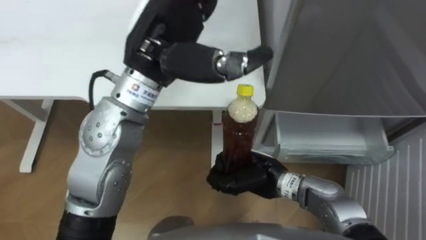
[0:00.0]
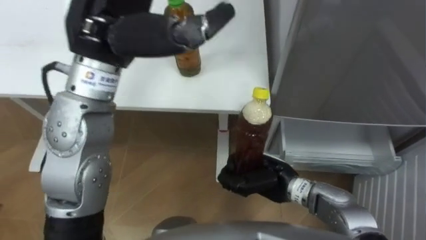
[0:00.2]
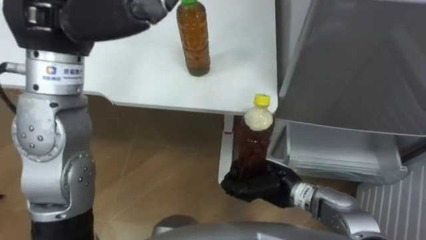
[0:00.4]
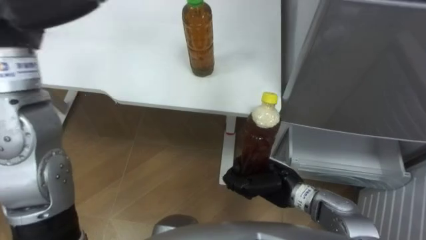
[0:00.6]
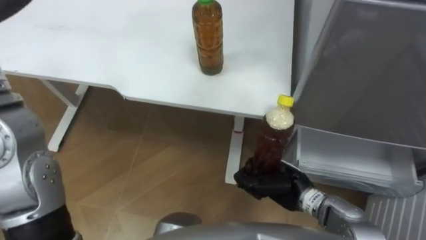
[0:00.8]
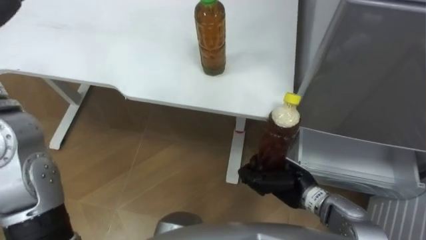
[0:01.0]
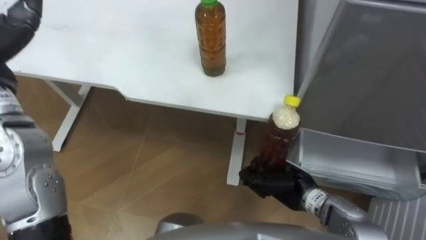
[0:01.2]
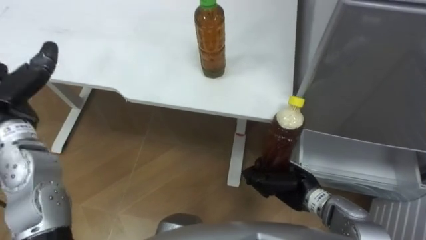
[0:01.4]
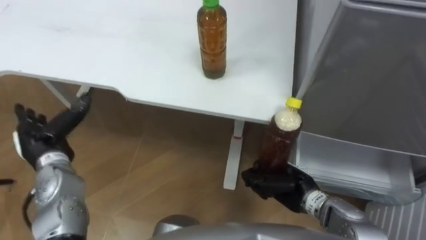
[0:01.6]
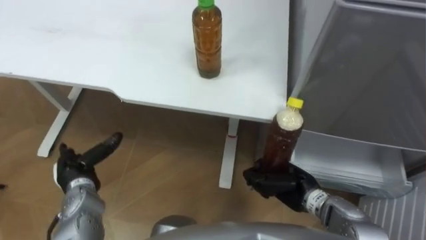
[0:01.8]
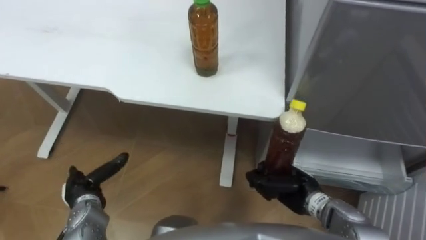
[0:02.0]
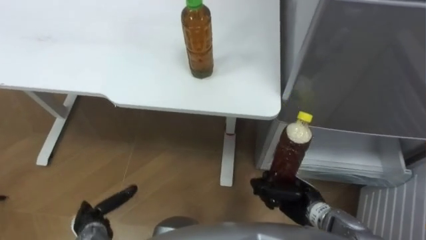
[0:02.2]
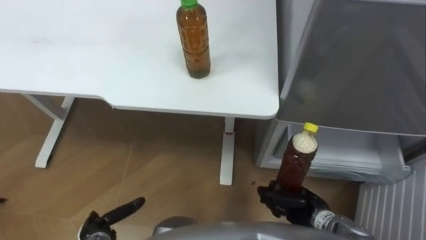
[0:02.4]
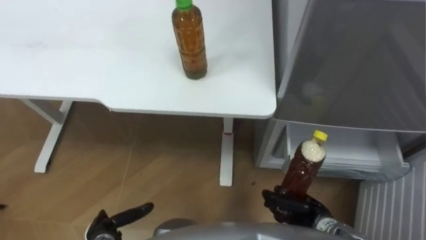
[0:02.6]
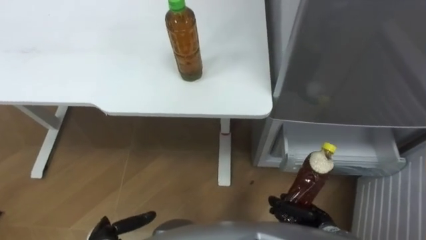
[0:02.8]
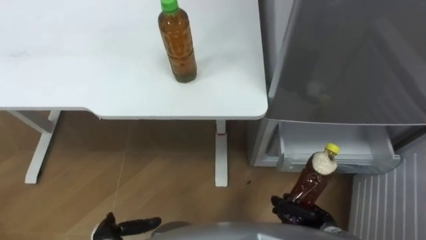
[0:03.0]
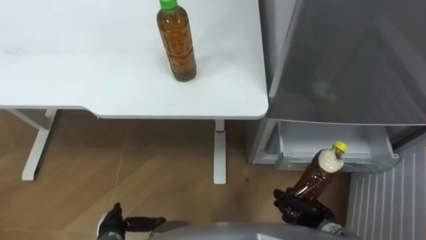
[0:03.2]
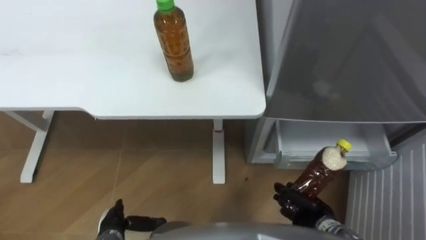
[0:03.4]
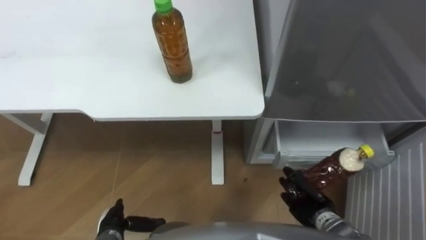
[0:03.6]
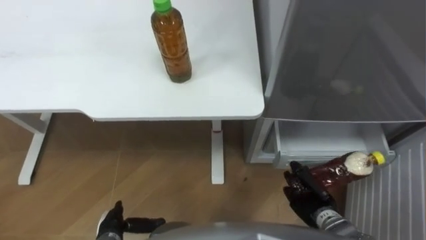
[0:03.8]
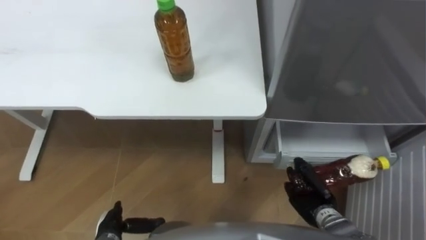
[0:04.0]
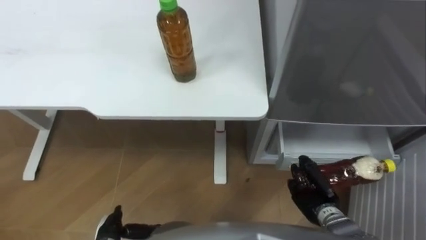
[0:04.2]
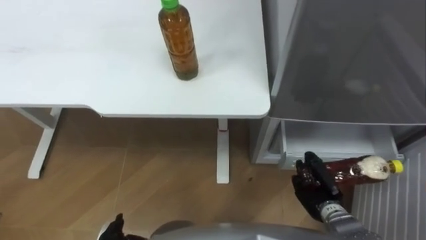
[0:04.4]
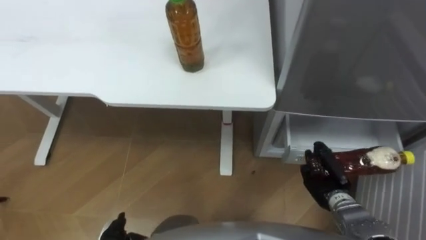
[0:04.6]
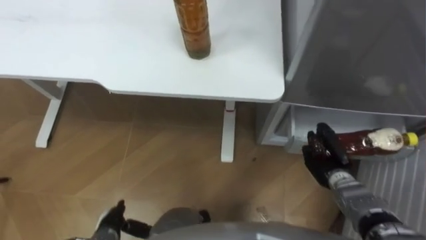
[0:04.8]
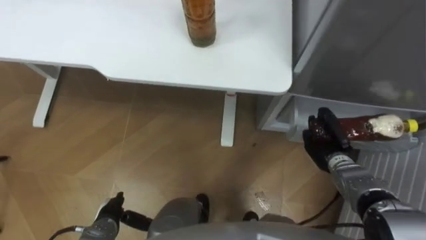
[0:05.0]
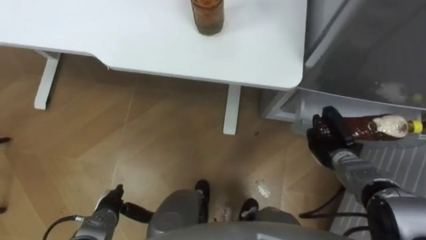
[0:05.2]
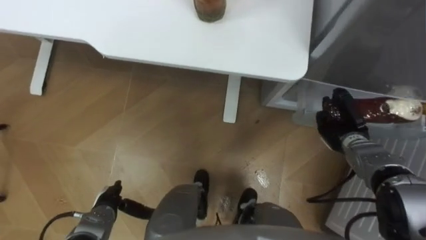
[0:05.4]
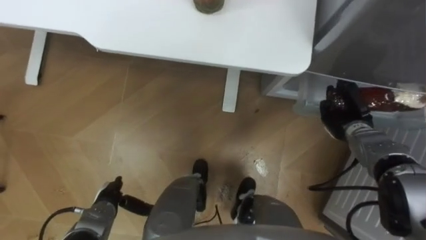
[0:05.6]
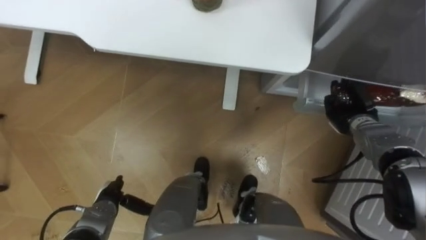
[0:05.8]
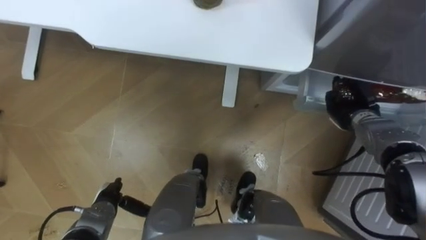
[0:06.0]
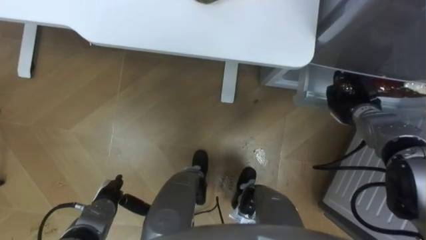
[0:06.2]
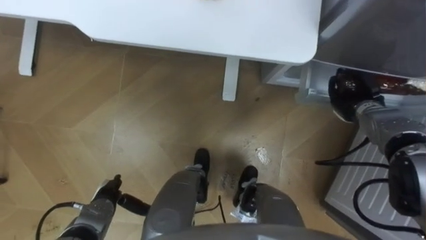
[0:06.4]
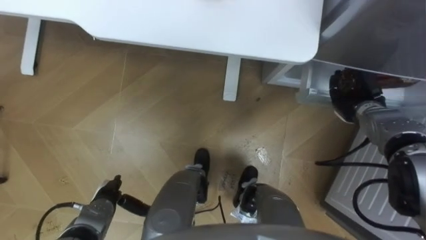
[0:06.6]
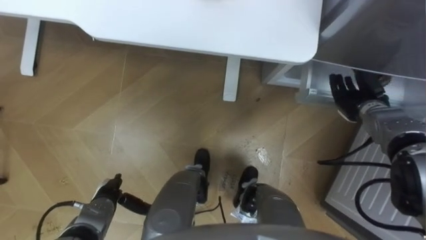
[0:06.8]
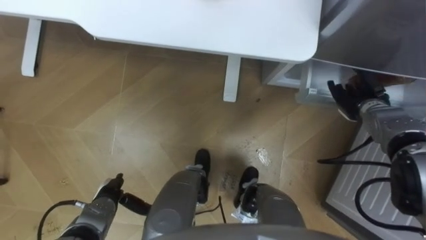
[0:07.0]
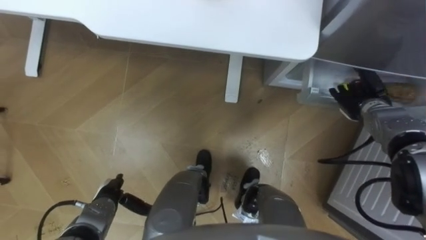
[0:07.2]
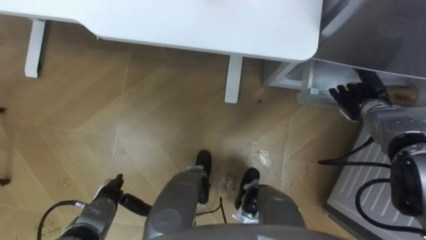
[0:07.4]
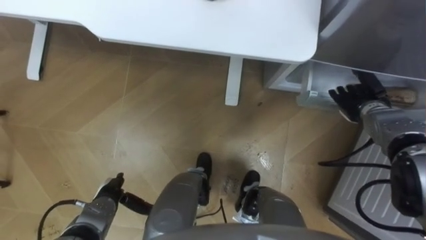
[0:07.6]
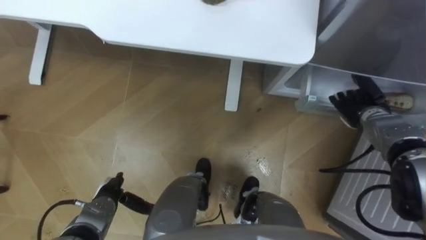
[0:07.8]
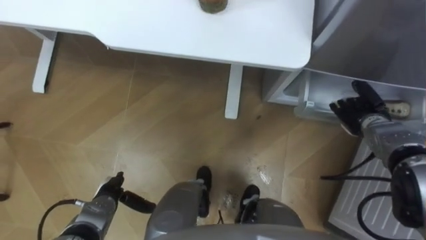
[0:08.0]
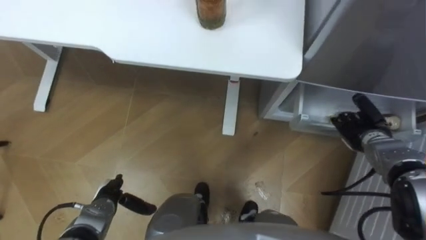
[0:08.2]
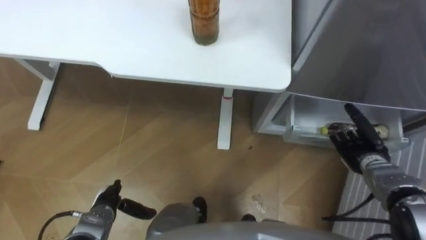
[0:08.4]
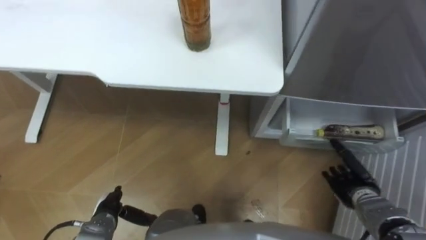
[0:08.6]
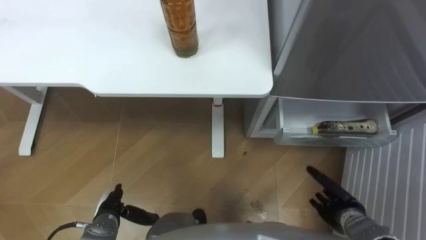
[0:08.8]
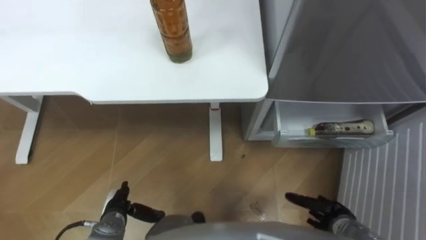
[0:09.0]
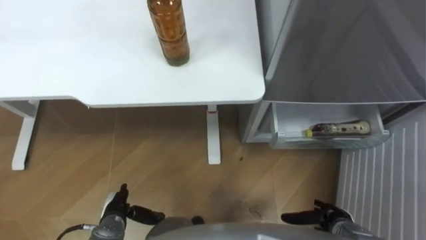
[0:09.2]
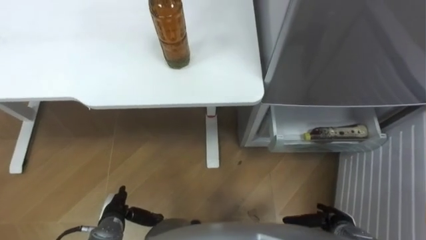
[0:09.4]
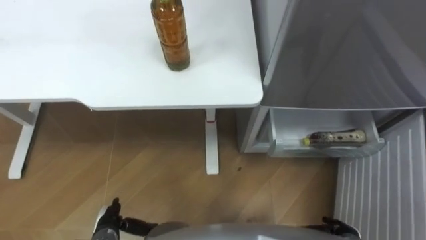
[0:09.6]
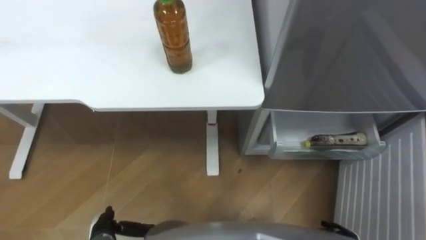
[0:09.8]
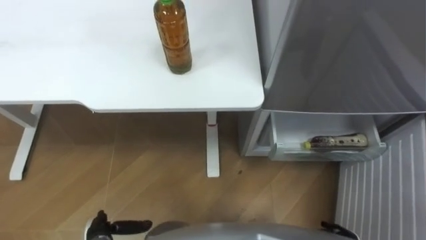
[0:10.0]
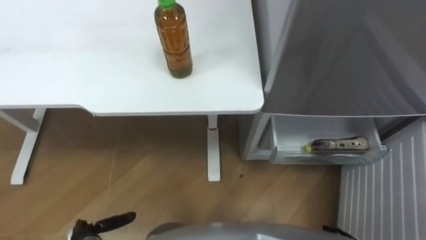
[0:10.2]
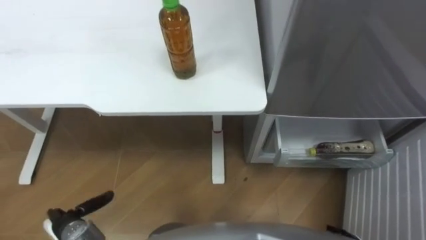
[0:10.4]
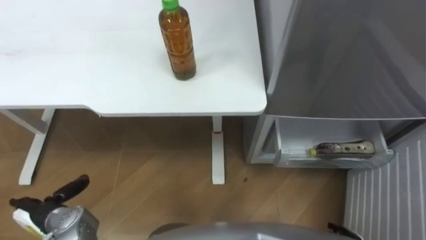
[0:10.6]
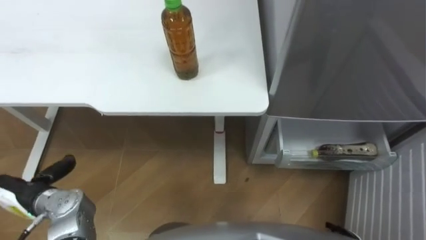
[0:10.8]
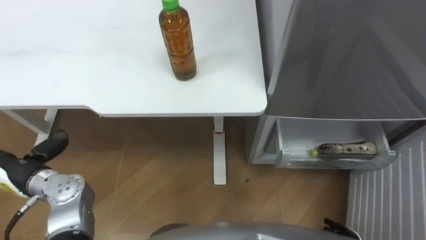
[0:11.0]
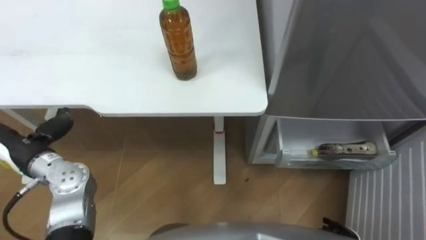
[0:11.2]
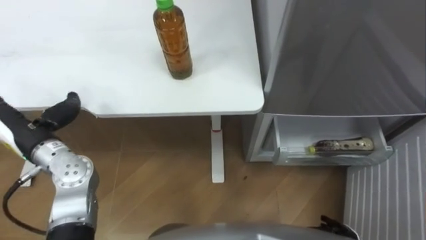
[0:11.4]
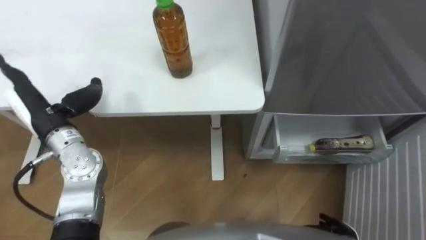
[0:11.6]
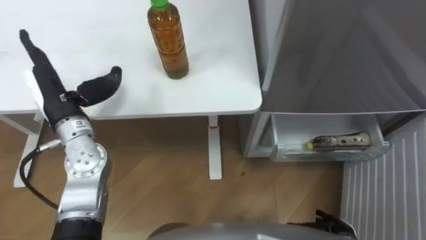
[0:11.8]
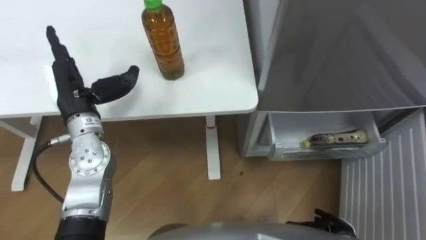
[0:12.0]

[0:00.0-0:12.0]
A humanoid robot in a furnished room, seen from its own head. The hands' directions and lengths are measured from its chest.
Task of the whole recording: Place the drink on the table on the bottom shelf of the refrigerator, then close the drawer and the refrigerator door.
0:00.0 to 0:01.6: The right hand heads to the right, covering about 10 cm.
0:01.6 to 0:03.0: The right hand shifts approximately 10 cm backward, downward and to the right.
0:03.0 to 0:04.4: The right hand is displaced forward by some 5 cm.
0:04.4 to 0:06.0: The right hand shifts about 20 cm forward and upward.
0:06.0 to 0:07.6: The right hand opens its fingers.
0:07.6 to 0:09.0: The right hand moves backward and downward, about 25 cm.
0:09.0 to 0:10.4: The left hand moves to the left, roughly 10 cm.
0:10.4 to 0:12.0: The left hand moves upward and forward, roughly 30 cm.

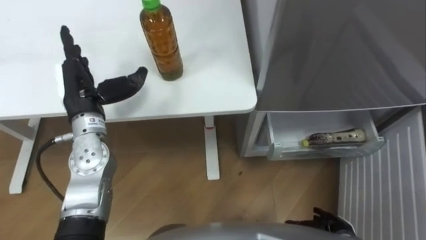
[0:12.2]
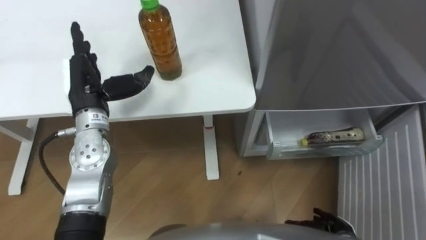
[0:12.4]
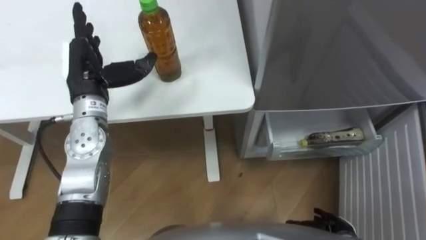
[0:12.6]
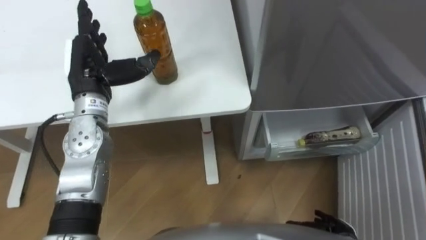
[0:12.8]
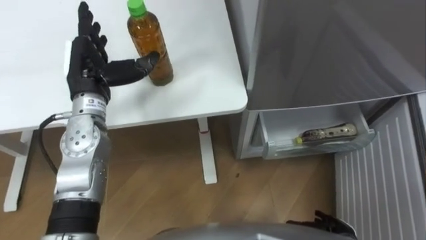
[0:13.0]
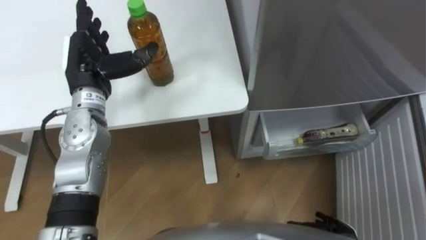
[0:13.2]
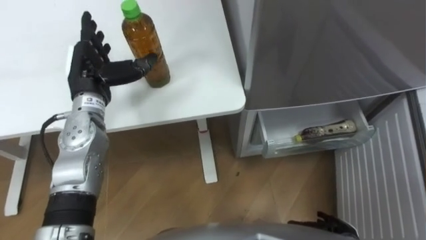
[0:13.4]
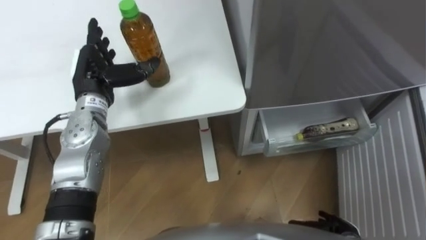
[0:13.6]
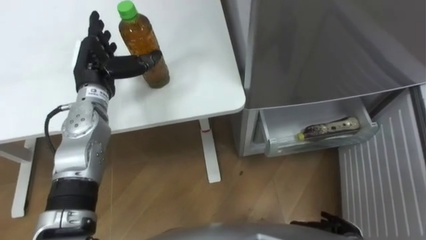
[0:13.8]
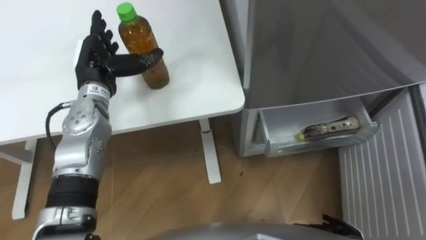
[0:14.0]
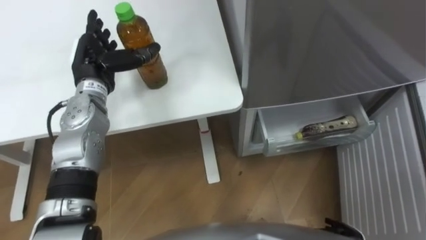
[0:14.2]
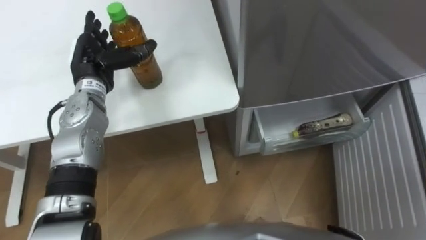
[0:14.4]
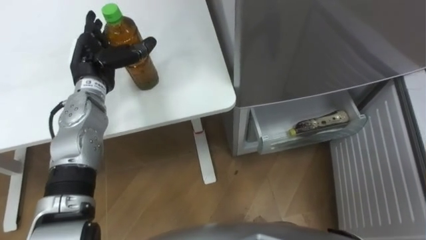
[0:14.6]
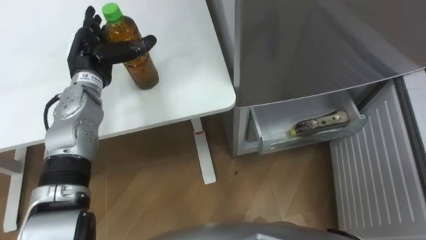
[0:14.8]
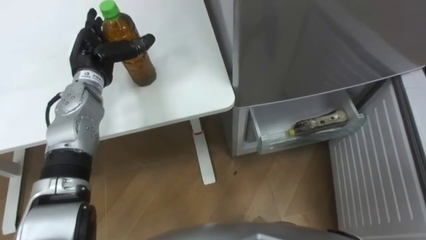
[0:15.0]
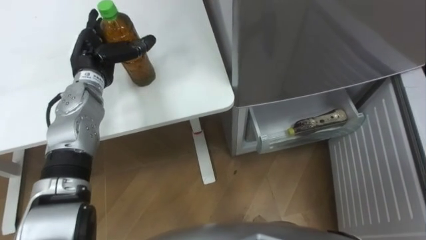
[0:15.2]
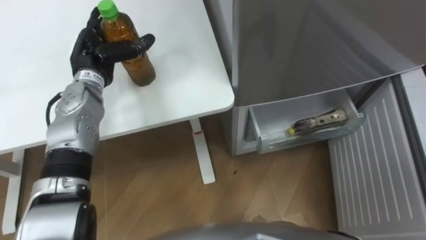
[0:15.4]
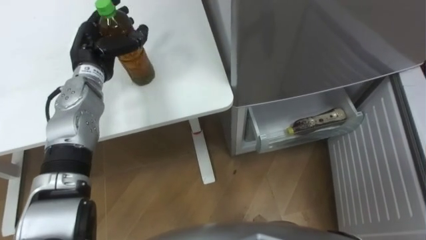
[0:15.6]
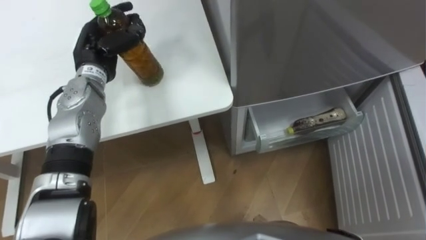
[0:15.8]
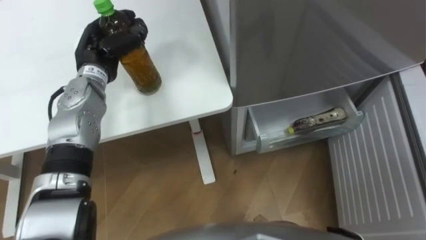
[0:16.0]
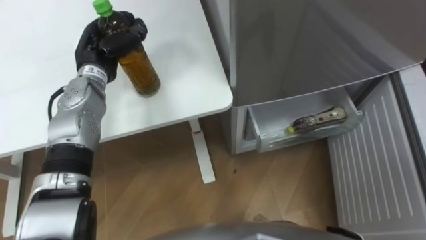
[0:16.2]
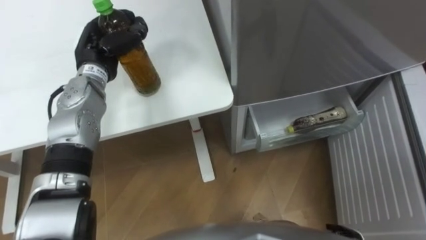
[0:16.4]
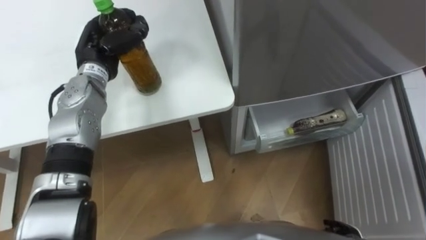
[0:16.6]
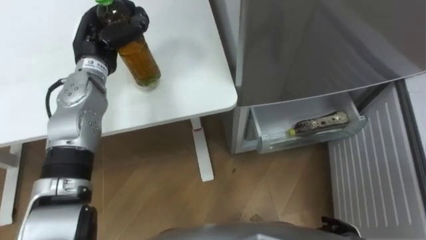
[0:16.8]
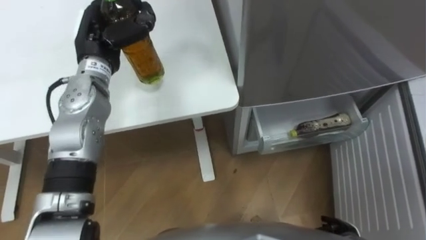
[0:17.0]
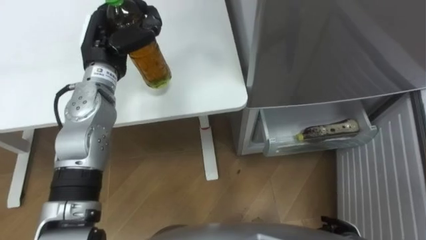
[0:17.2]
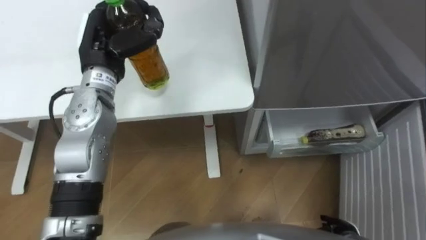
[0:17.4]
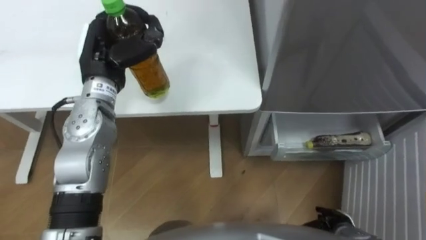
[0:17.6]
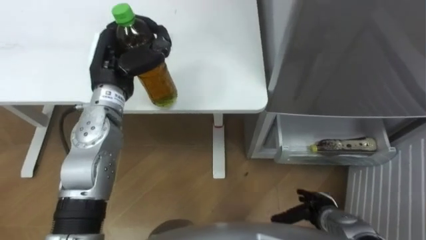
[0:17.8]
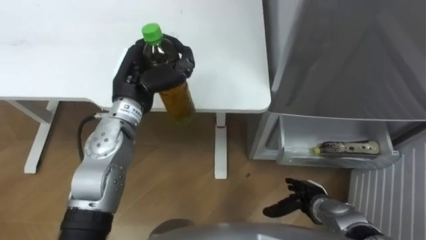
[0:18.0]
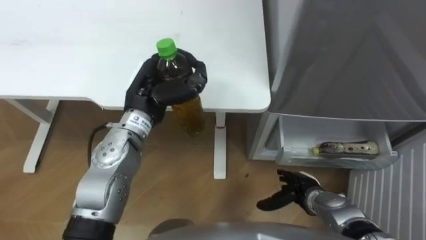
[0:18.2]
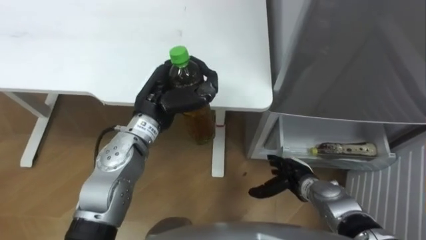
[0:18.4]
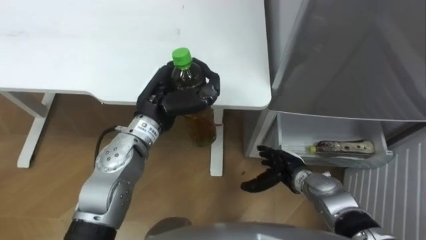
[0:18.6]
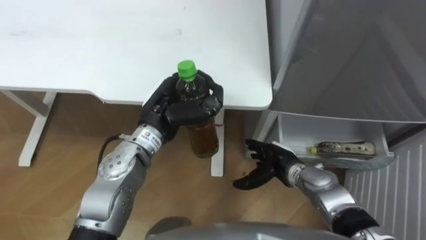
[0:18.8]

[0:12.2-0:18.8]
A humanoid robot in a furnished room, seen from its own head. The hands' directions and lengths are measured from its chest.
Task of the whole recording: Place the drink on the table on the bottom shelf of the refrigerator, then close the drawer and the refrigerator door.
0:12.2 to 0:13.8: The left hand goes about 5 cm forward.
0:15.4 to 0:17.2: The left hand shifts by approximately 5 cm, and closes its fingers.
0:17.2 to 0:18.8: The right hand travels forward, to the left and upward by about 20 cm, while the left hand heads to the right, backward and downward, covering approximately 15 cm.
